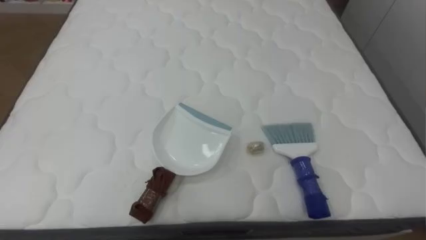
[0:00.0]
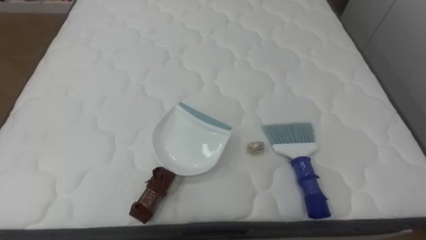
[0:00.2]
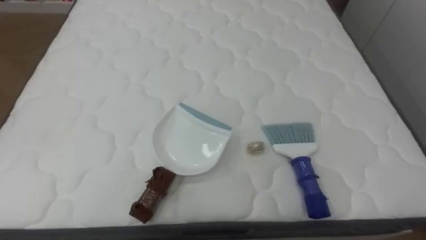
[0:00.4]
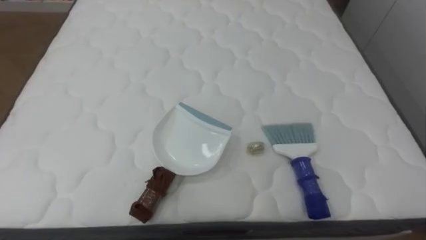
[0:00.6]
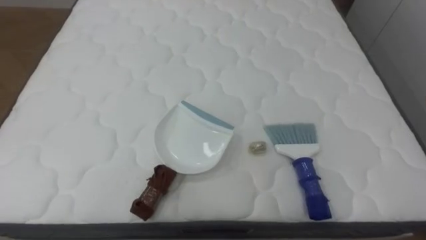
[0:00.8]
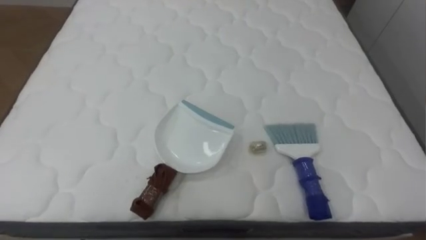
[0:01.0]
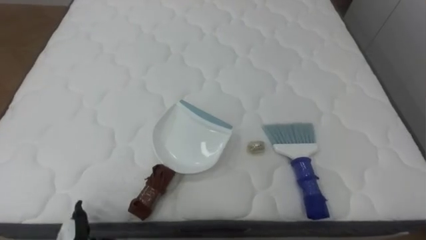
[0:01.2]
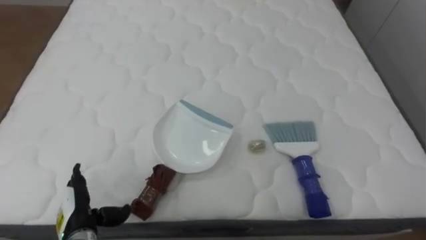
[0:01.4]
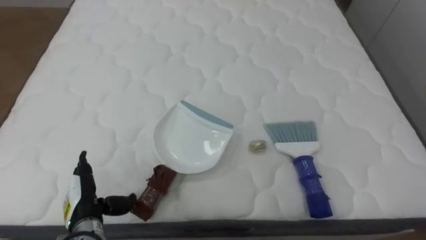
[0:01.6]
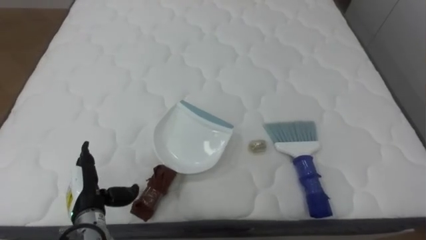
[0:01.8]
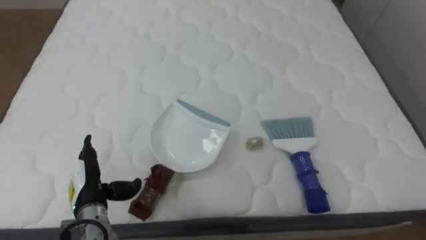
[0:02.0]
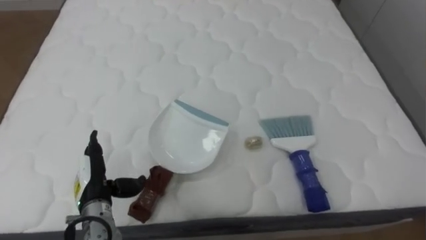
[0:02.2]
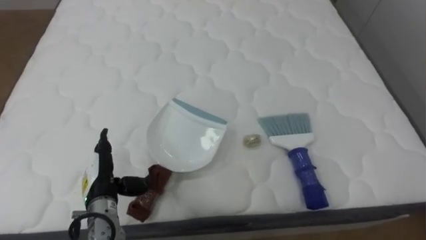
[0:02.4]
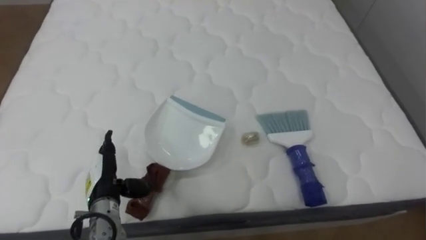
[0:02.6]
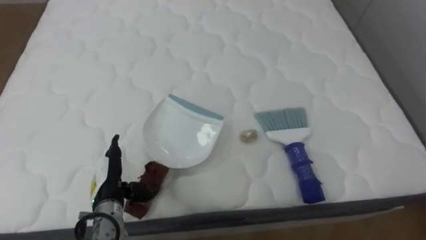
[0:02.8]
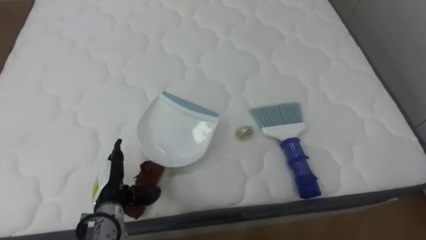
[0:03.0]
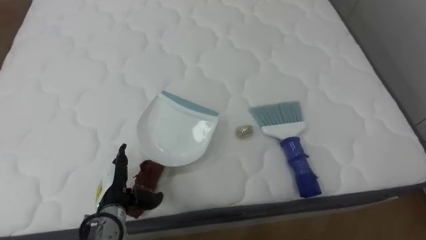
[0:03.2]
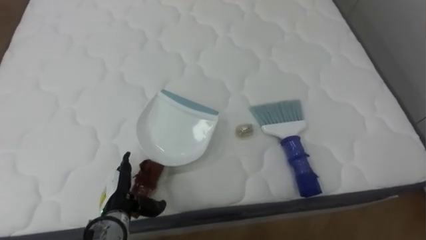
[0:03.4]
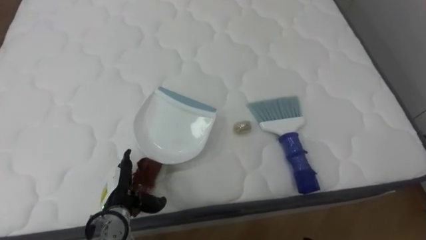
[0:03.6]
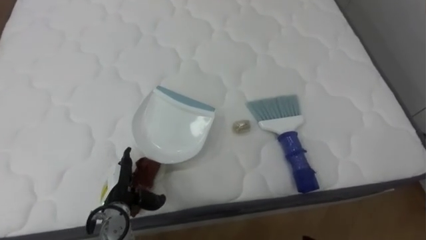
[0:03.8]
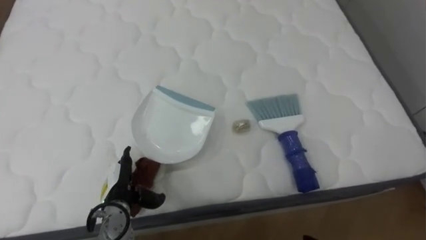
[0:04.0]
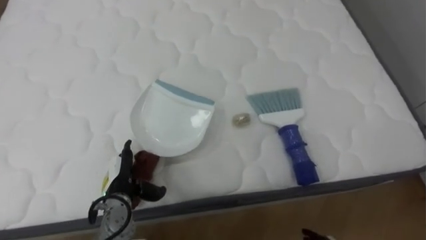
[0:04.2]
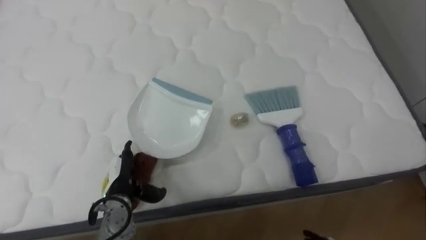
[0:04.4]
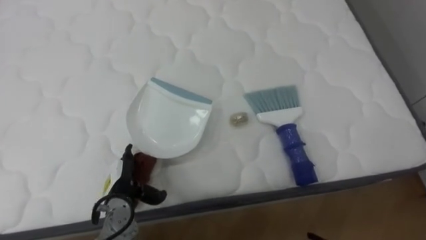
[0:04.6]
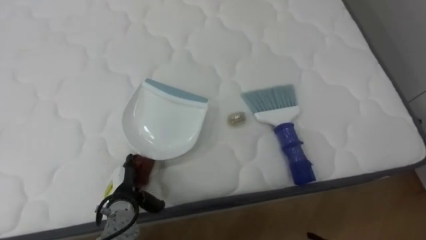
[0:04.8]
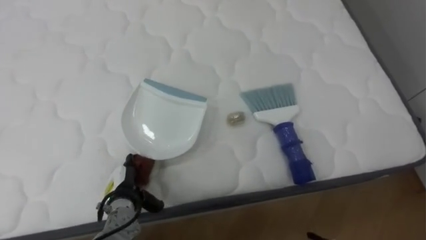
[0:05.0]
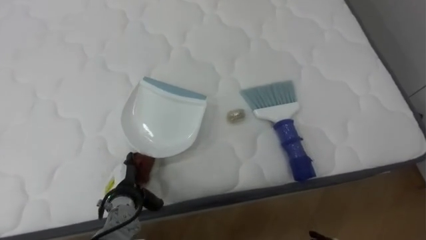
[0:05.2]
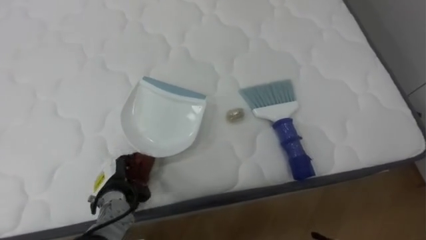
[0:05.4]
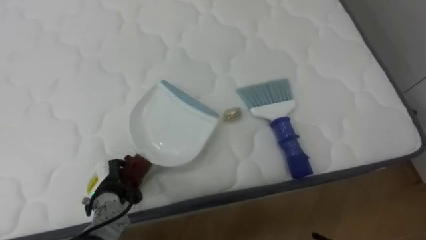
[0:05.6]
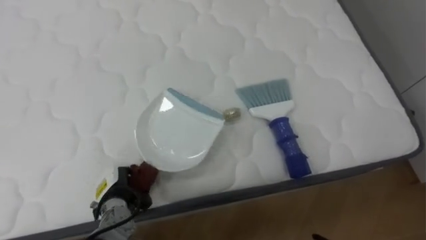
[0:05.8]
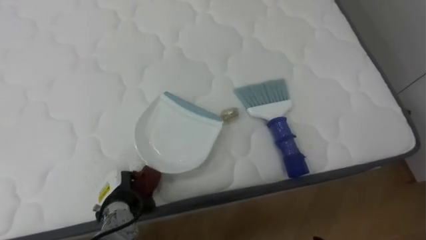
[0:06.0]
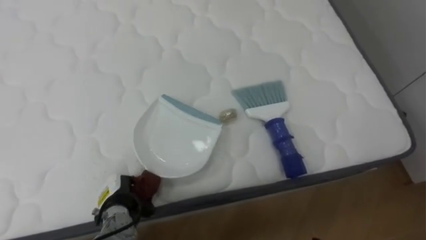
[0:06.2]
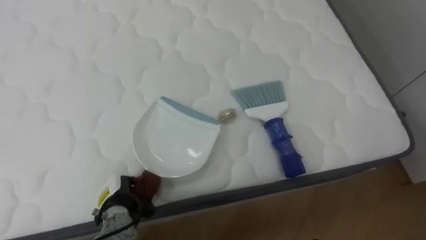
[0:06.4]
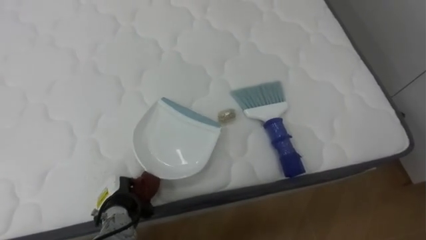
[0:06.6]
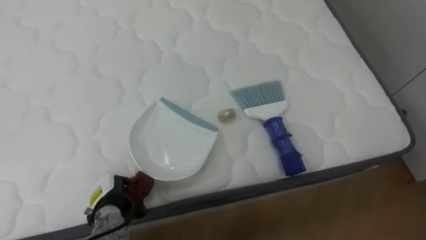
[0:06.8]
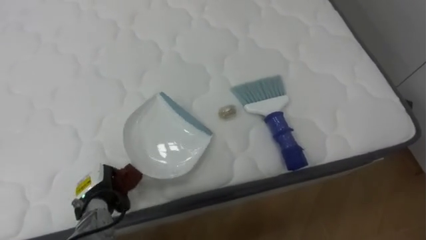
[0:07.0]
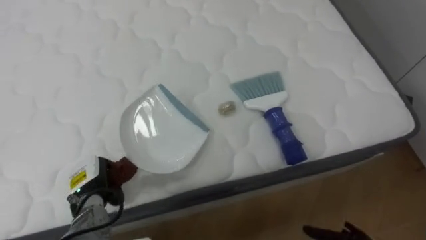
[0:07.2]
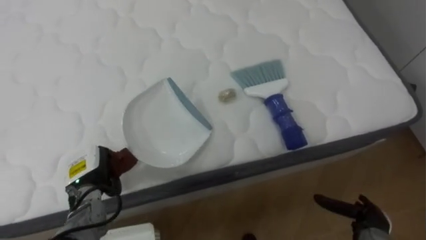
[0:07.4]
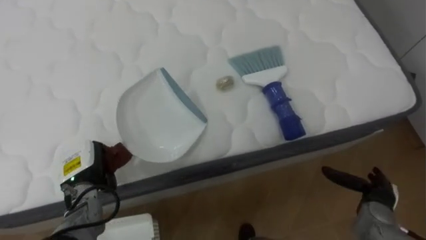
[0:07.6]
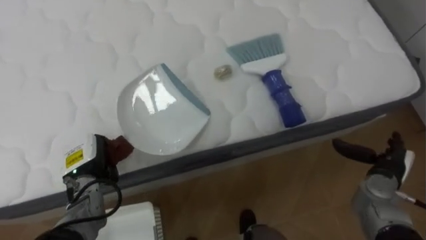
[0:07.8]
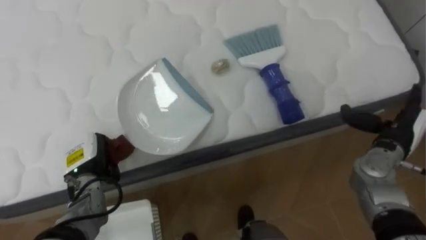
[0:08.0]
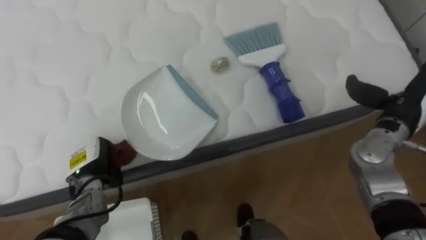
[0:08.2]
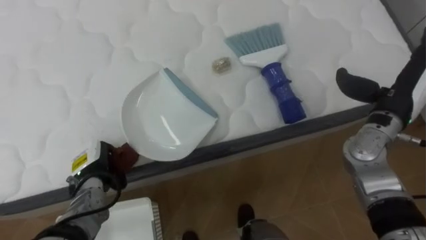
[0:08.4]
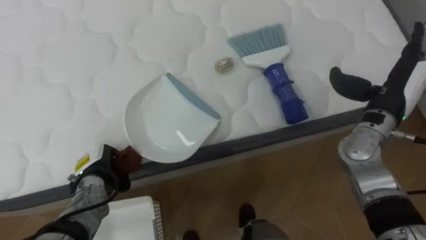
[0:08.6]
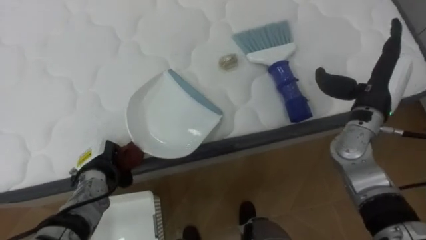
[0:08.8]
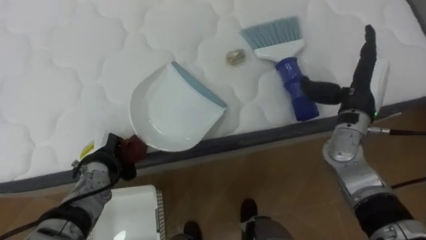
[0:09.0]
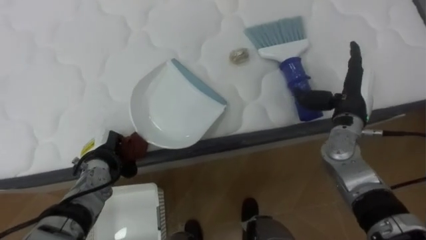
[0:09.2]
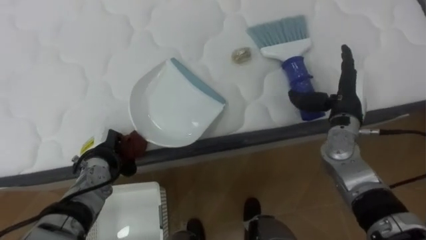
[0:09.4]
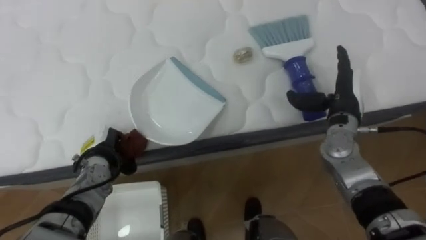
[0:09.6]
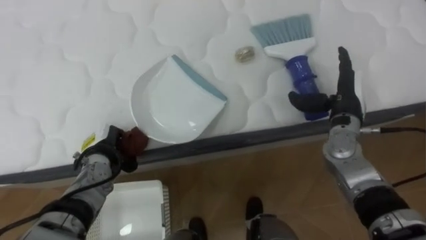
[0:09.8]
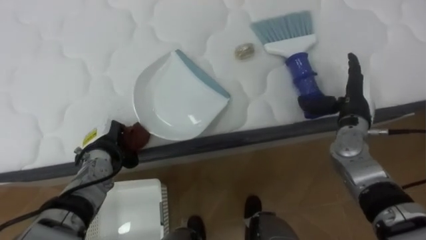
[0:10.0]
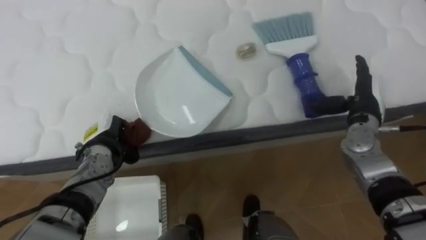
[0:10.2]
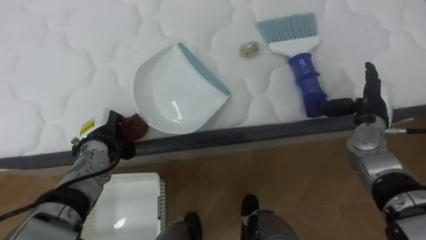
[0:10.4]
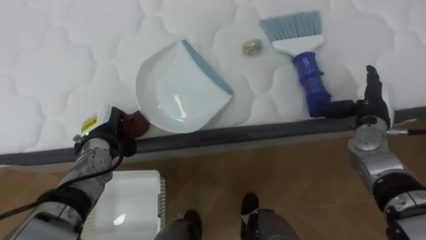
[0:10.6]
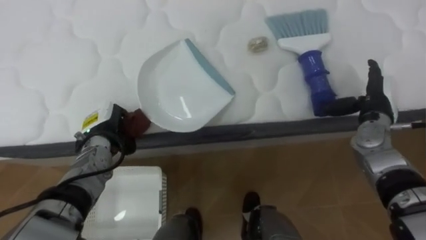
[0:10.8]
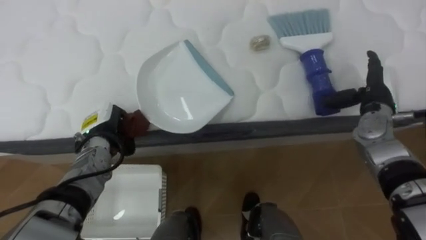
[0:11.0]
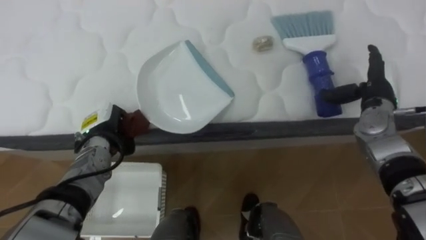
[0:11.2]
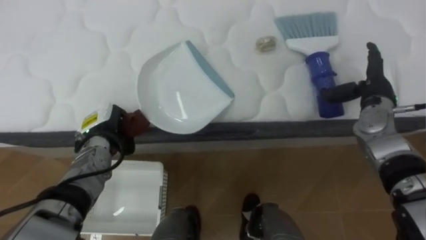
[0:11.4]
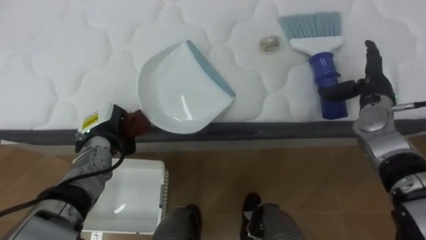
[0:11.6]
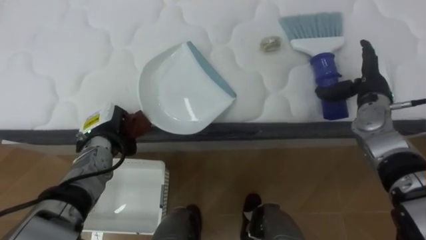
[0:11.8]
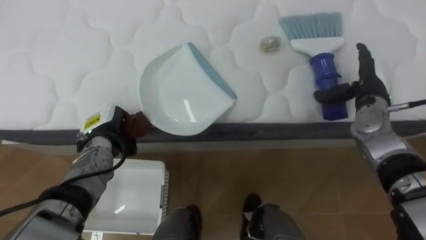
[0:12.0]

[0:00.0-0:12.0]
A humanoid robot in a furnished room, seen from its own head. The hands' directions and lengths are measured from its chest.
Task of the whole recording: Pick up the brush on your right and the dustpan on your left. Use the brush to sweep the crumpled paper on the bed into the dustpan, then turn left and empty it into the basket.
0:01.6 to 0:03.0: The left hand shifts by approximately 5 cm.
0:04.4 to 0:06.0: The left hand closes its fingers.
0:06.0 to 0:07.6: The left hand travels upward and to the left by about 10 cm.
0:07.6 to 0:09.0: The right hand travels upward and forward by approximately 25 cm.
0:09.0 to 0:10.4: The right hand travels downward by some 5 cm, while the left hand changes place by about 5 cm.

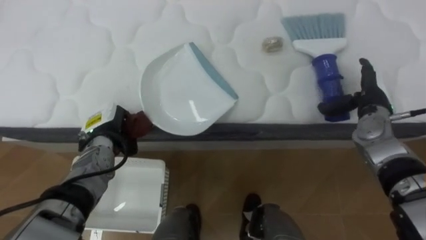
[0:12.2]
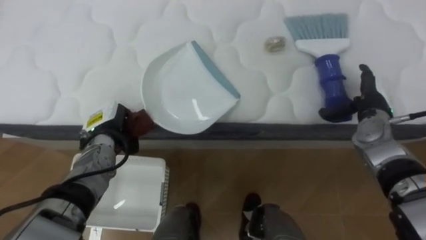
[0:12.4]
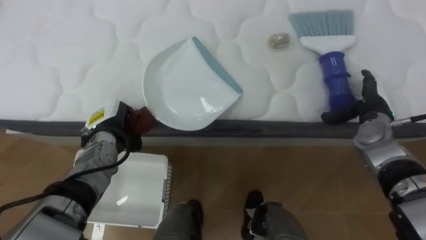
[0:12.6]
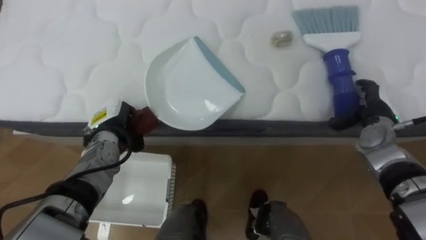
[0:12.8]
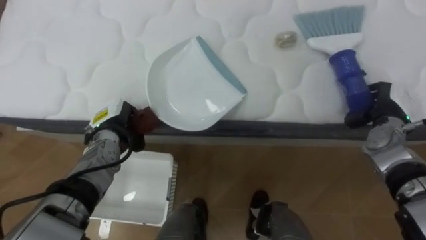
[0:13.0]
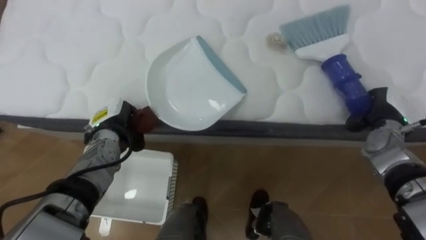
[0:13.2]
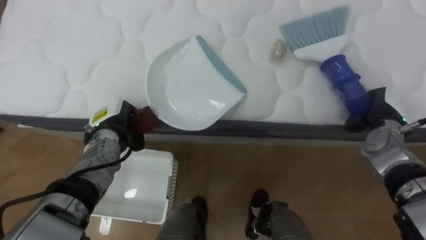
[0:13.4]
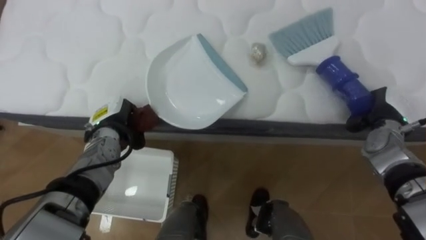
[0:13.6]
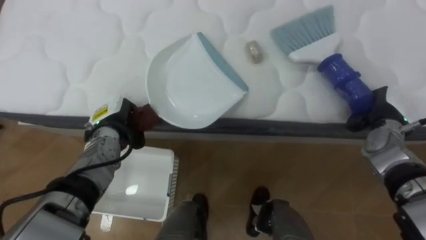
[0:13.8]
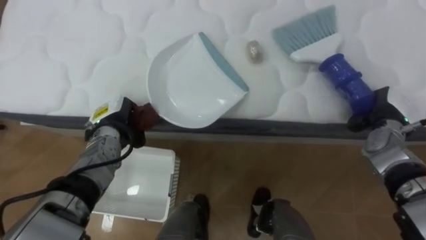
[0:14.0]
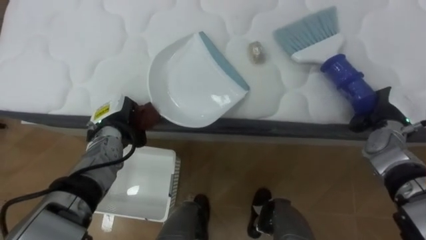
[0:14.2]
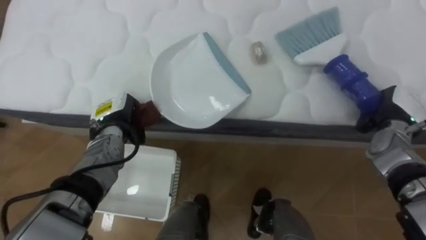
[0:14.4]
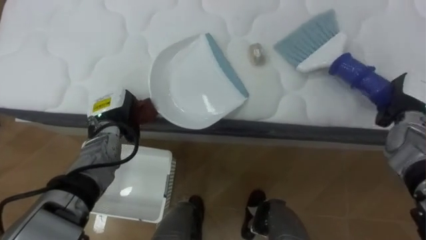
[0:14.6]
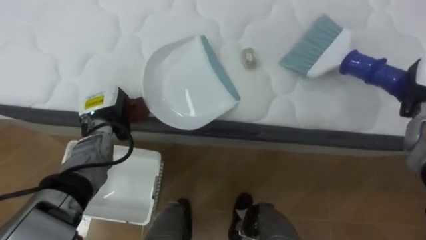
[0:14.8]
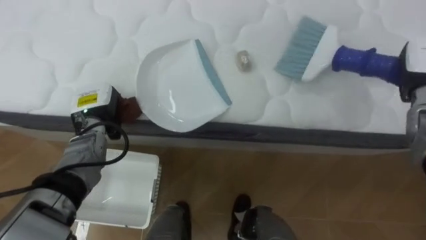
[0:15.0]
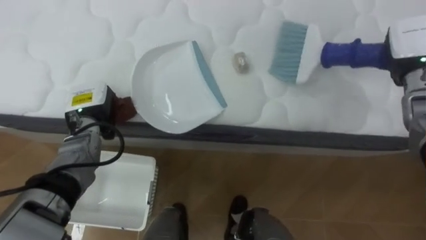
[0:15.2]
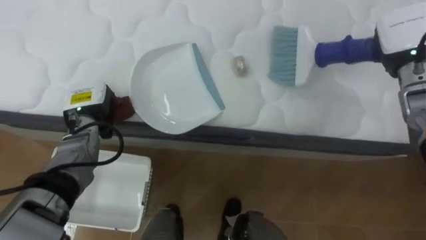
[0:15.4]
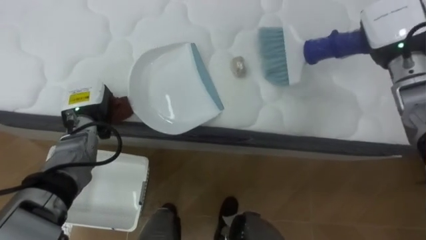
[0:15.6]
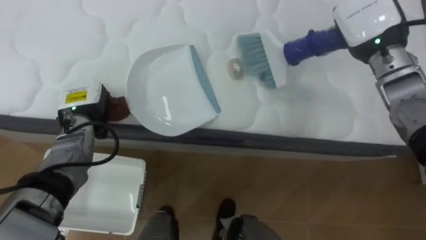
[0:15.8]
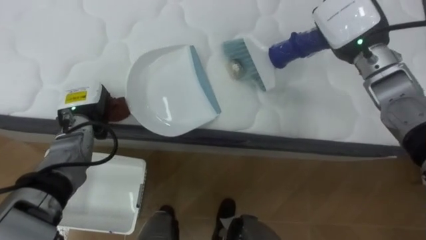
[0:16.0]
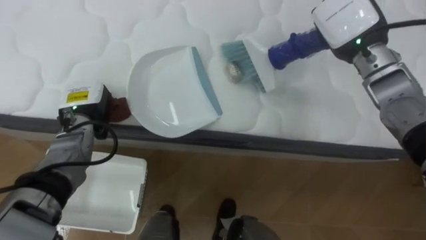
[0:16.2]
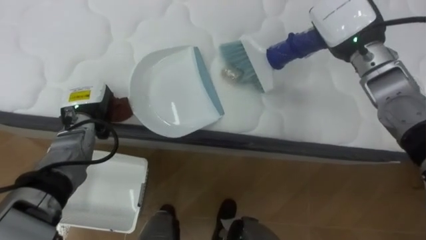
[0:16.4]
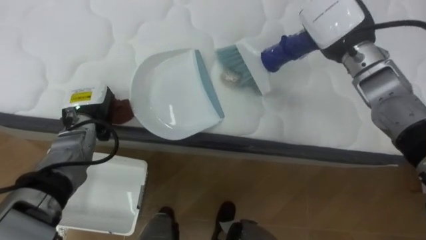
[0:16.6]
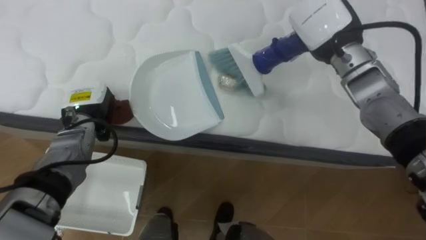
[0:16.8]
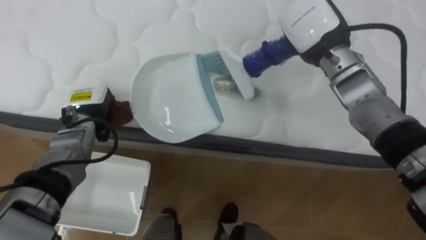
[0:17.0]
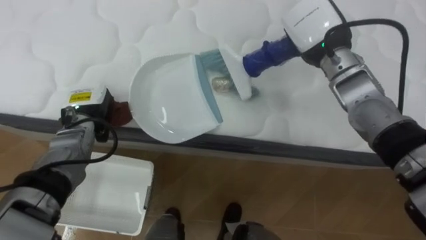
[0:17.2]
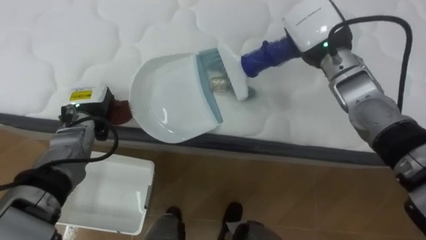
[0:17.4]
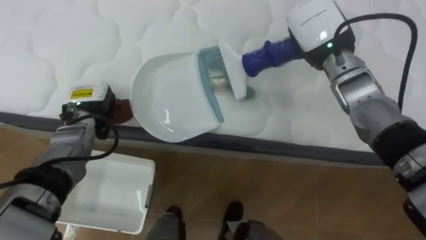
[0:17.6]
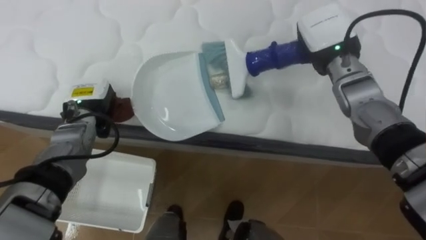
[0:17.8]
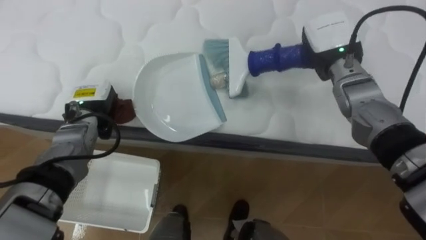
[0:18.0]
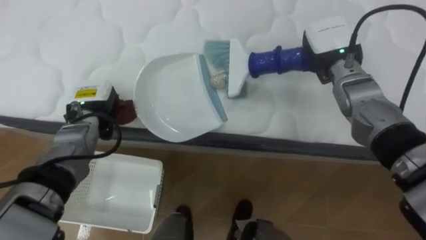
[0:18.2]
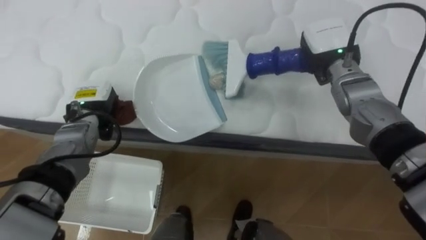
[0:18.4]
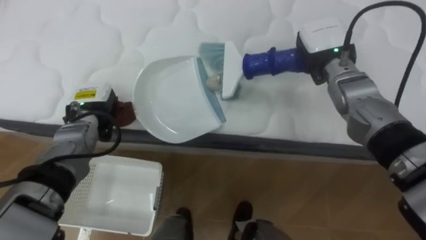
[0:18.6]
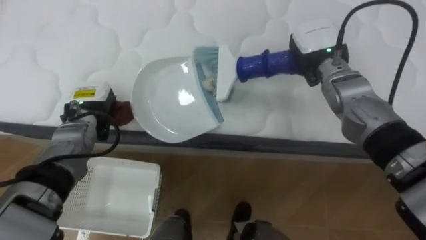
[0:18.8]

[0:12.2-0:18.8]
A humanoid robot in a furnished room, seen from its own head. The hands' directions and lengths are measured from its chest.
Task of the whole recording: Pick up the brush on your right and the dustpan on your left. Use the brush to sweep the crumpled paper on the bed into the dustpan, then turn left and empty it into the basket.
0:12.2 to 0:13.8: The right hand closes up.
0:13.8 to 0:15.4: The left hand shifts by some 5 cm, while the right hand moves upward, some 15 cm.
0:15.4 to 0:17.2: The right hand shifts about 15 cm to the left.
